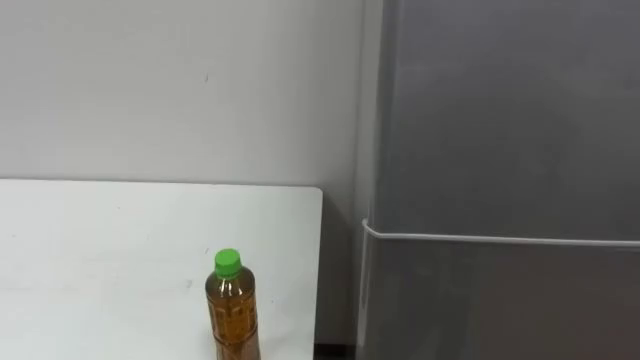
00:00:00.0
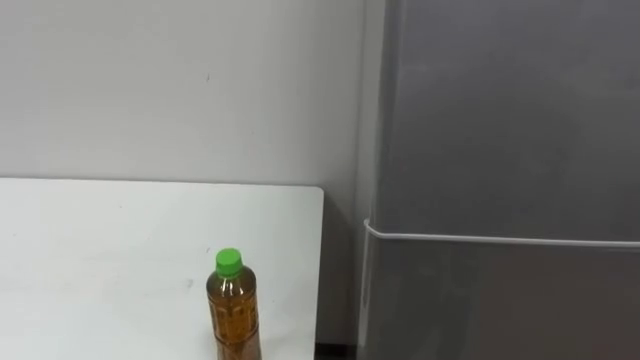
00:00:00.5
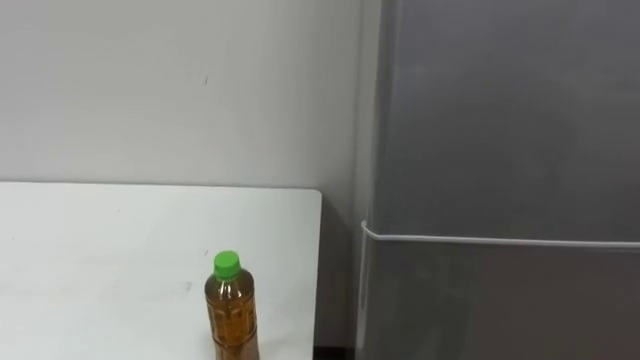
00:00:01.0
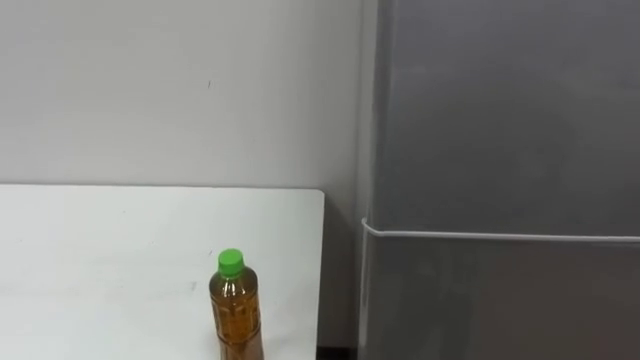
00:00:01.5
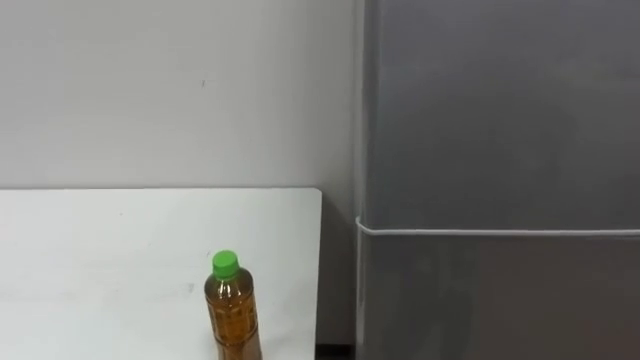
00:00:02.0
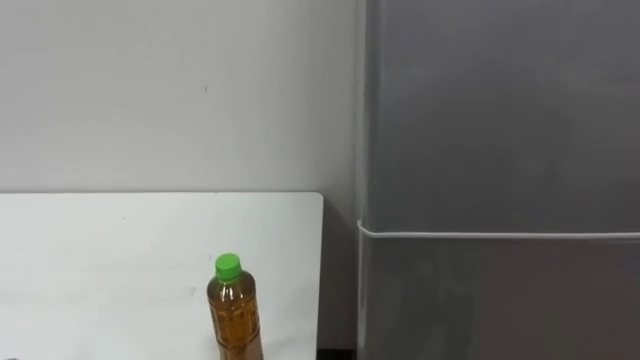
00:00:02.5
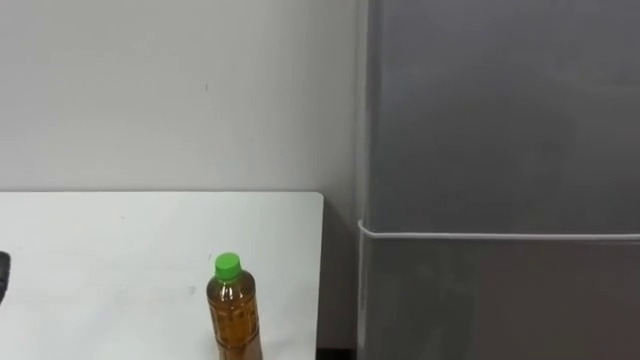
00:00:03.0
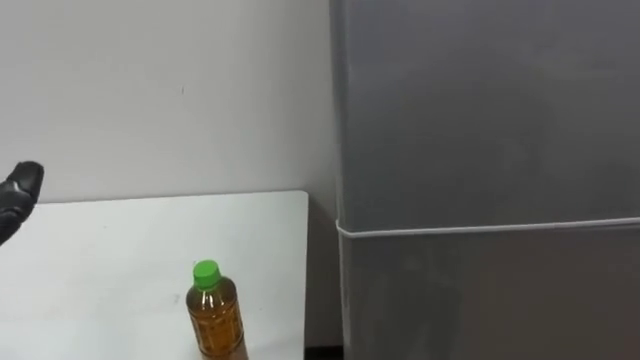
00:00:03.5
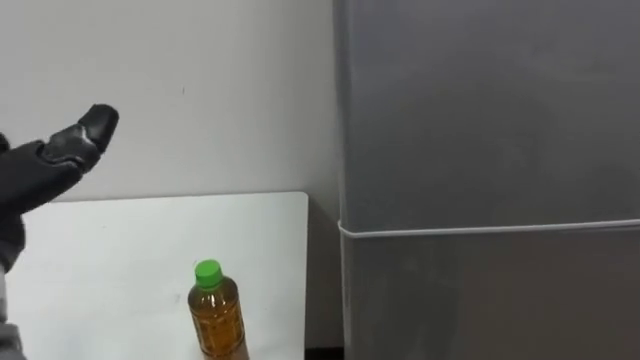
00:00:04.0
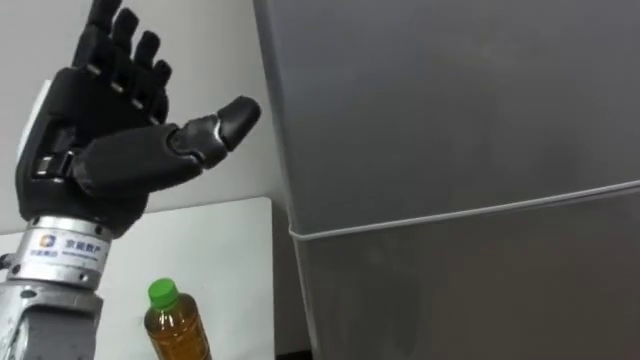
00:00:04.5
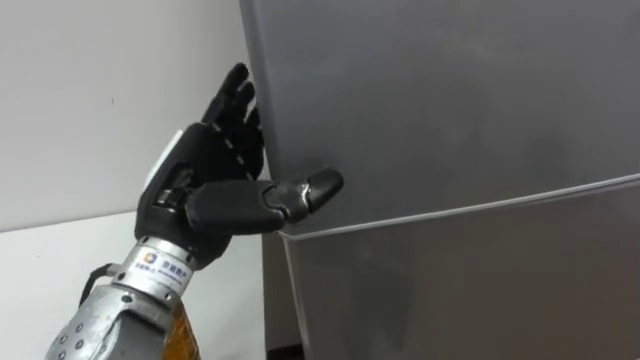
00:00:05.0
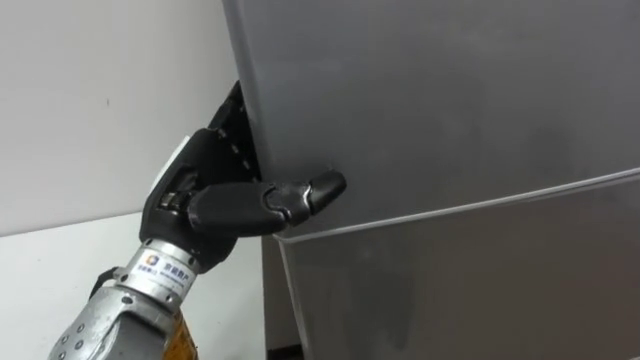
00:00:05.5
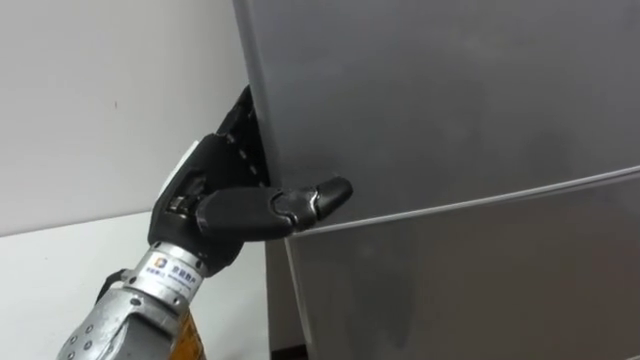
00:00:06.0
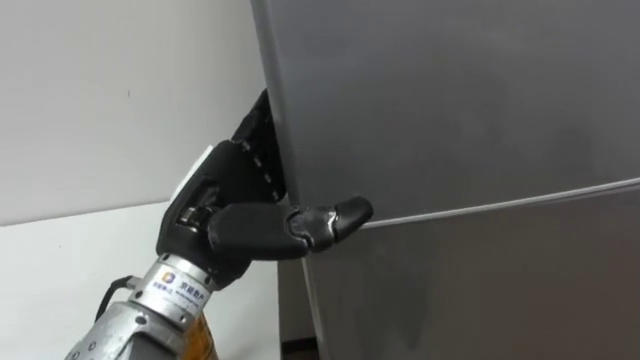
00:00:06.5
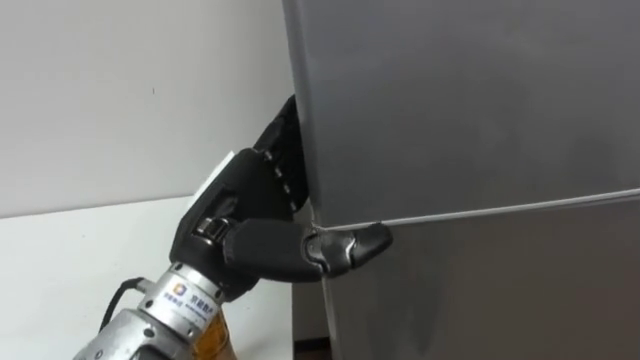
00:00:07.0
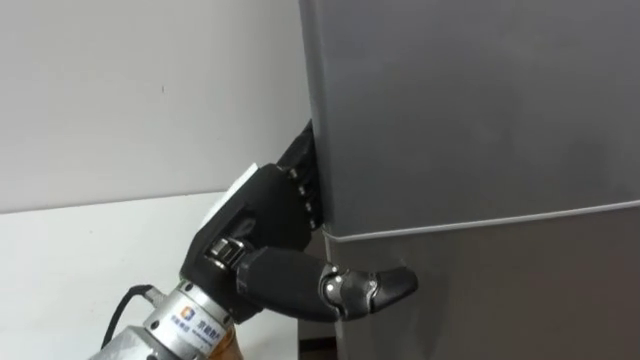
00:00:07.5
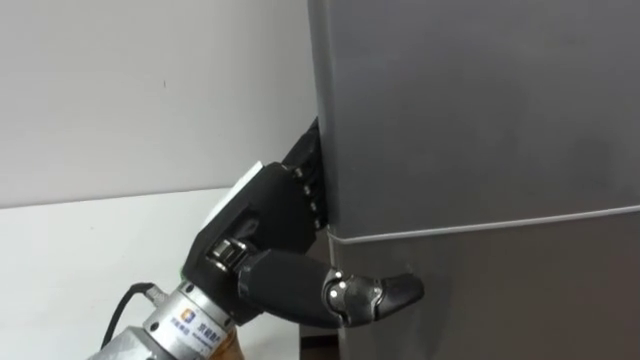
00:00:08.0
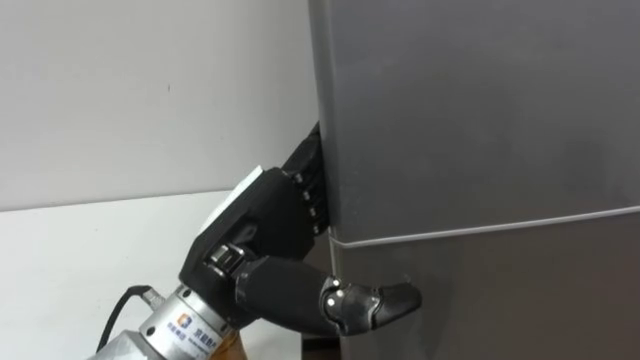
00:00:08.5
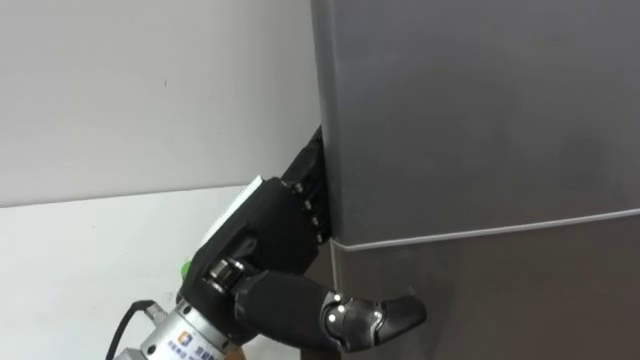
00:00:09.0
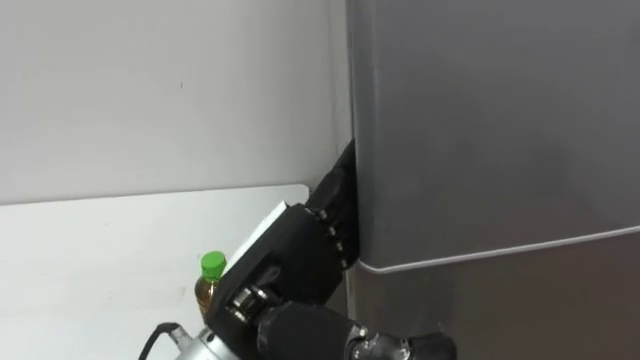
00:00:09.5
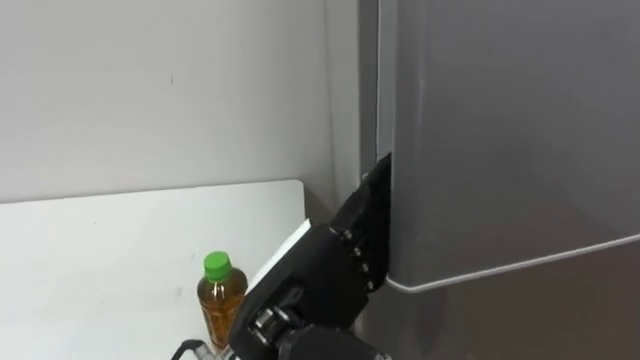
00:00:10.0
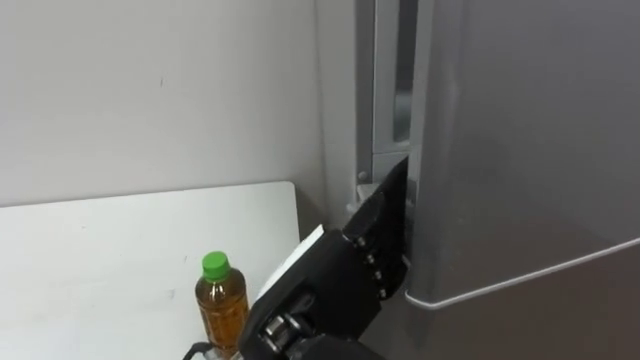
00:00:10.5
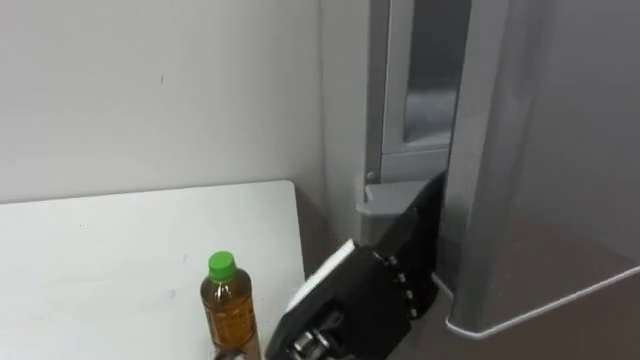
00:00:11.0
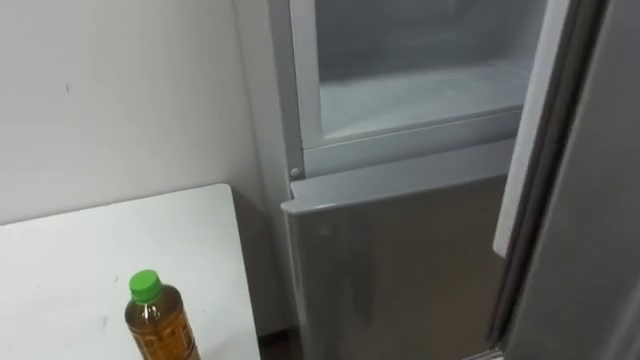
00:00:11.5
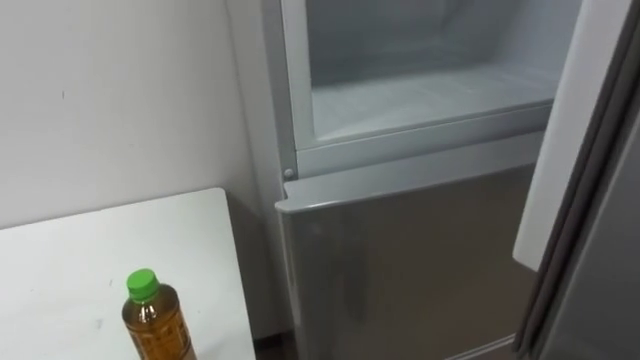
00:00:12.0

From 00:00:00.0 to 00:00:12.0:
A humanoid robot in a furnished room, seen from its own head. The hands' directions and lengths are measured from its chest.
Task of the whole recording: Open the upper refrigerator door, put the drink from the table into the refrigerator, and then close the refrigerator door.
From 00:00:06.0 to 00:00:08.0: The left hand shifts by some 5 cm.
From 00:00:08.0 to 00:00:10.0: The left hand moves about 5 cm.

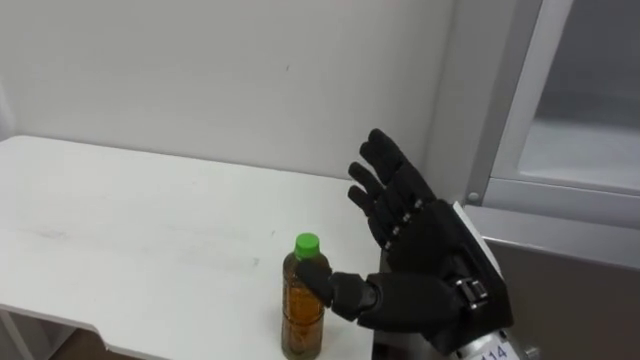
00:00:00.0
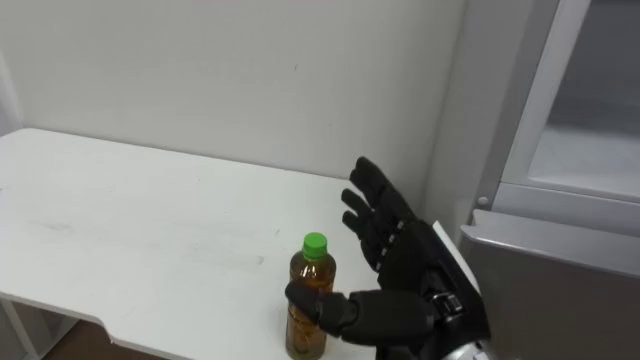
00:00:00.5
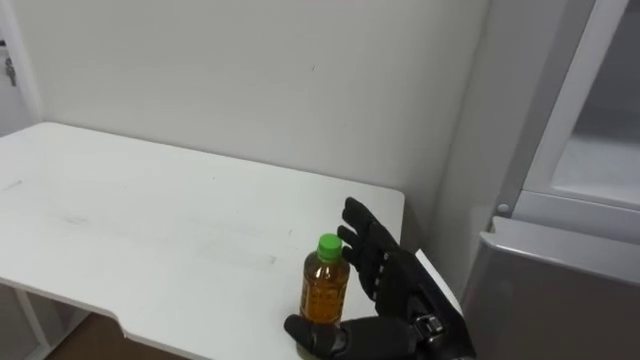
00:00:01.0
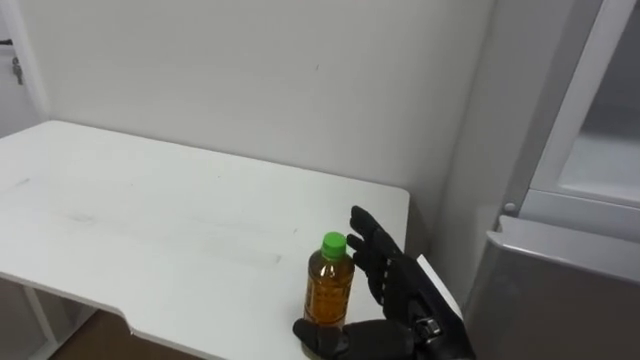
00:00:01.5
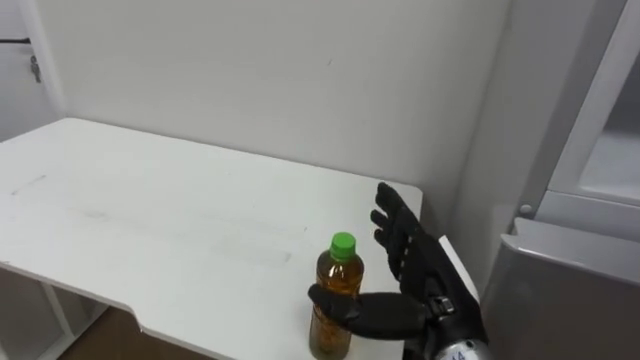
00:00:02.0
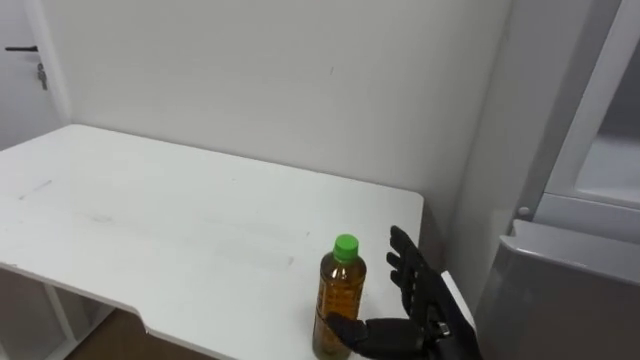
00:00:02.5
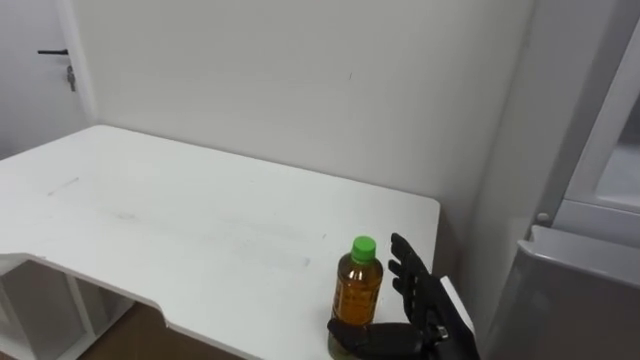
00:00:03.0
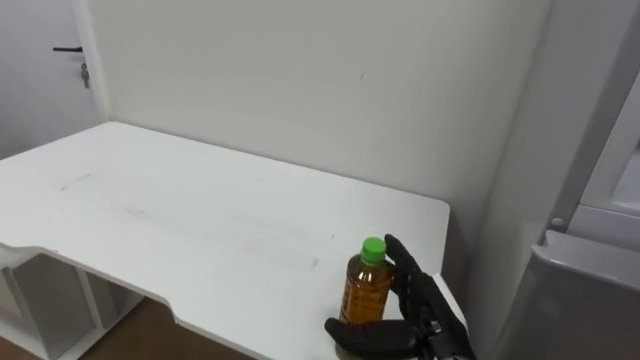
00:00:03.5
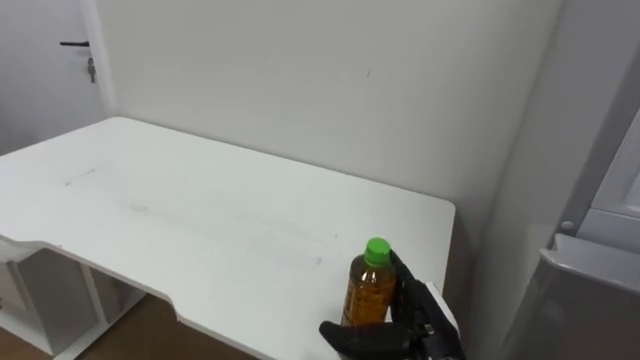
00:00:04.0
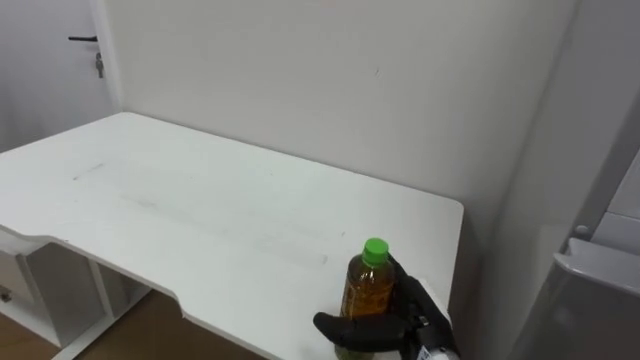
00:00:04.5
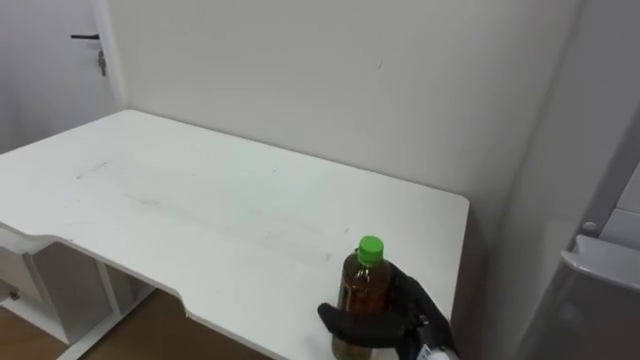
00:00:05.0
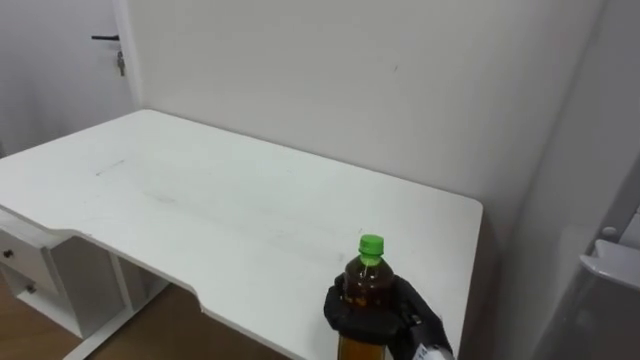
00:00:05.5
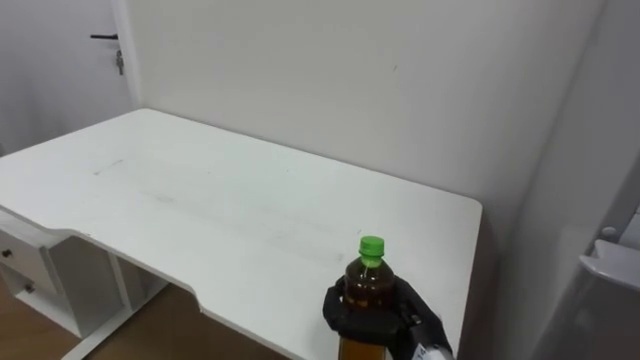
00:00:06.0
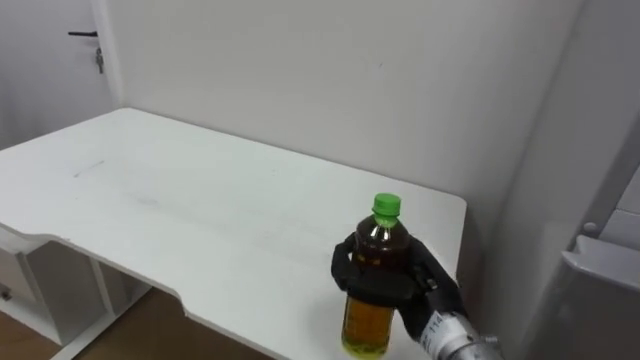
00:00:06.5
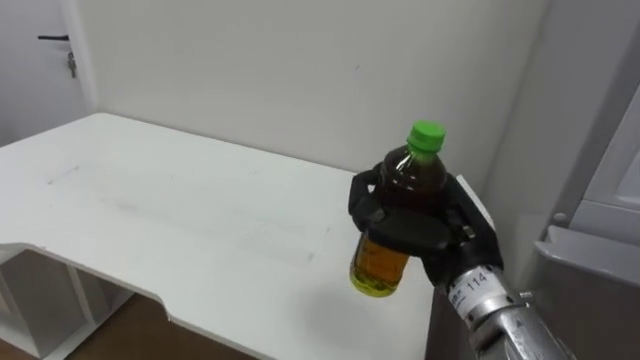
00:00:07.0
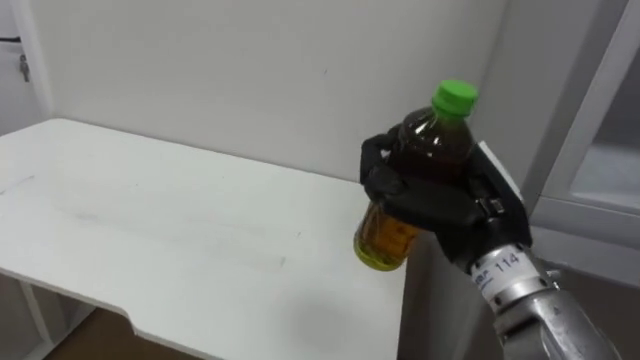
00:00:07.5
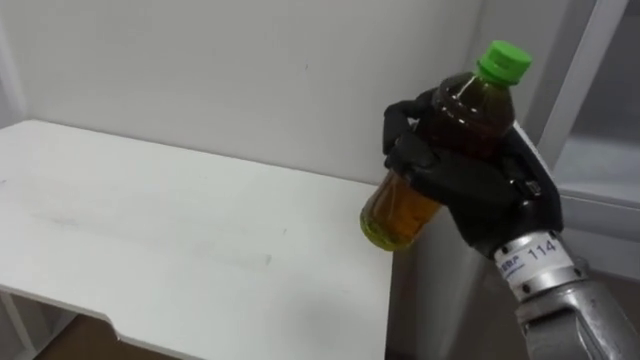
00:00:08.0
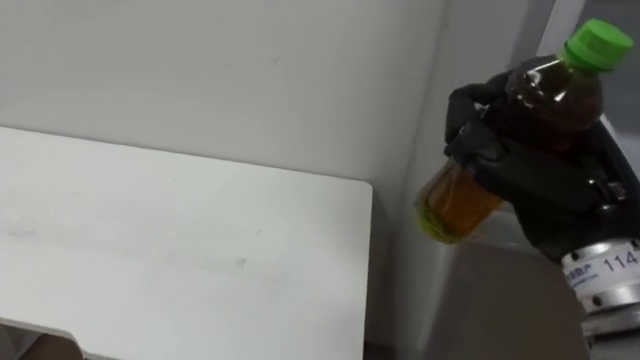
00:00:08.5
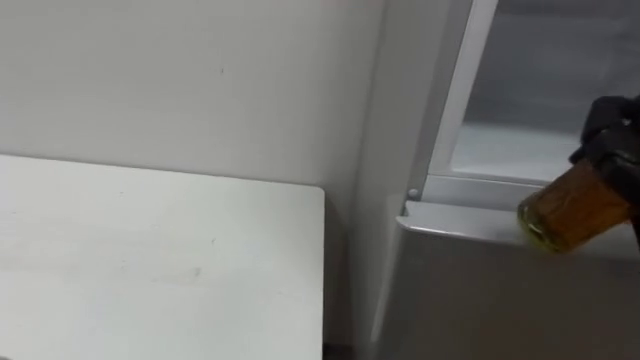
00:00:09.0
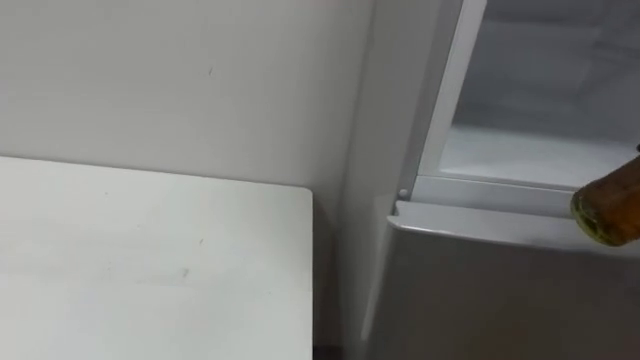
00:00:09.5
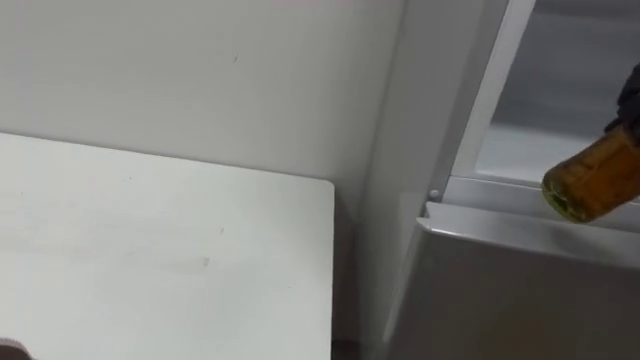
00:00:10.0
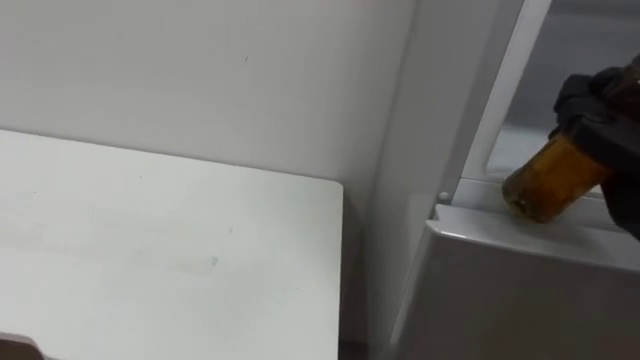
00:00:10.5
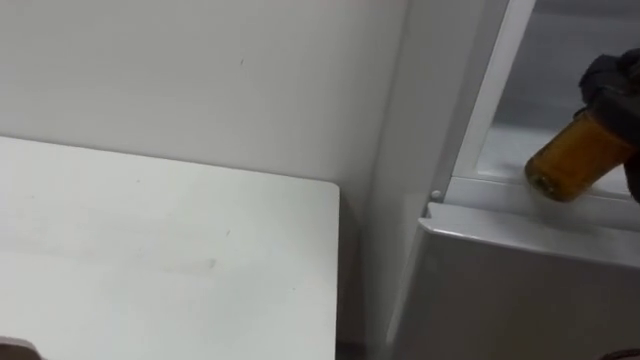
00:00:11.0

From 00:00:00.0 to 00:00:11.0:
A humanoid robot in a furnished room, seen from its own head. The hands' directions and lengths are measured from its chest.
Task of the whole recording: Open the upper refrigerator door, put the drink from the table into the refrigerator, and then close the refrigerator door.
From 00:00:00.0 to 00:00:02.0: The right hand goes approximately 5 cm downward.
From 00:00:02.0 to 00:00:03.5: The right hand moves downward, some 5 cm.
From 00:00:03.5 to 00:00:05.5: The right hand closes up.
From 00:00:05.5 to 00:00:07.5: The right hand heads upward, covering some 20 cm.
